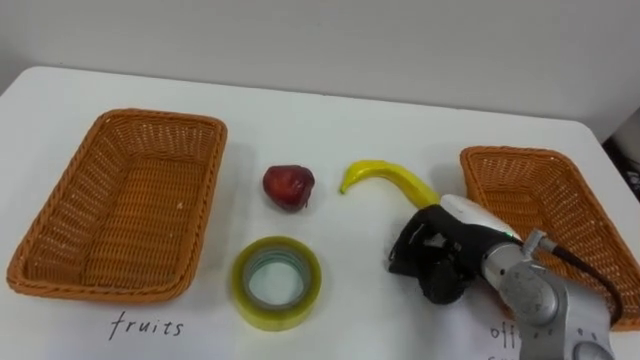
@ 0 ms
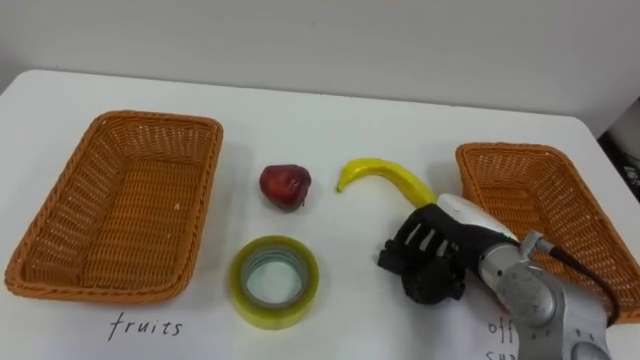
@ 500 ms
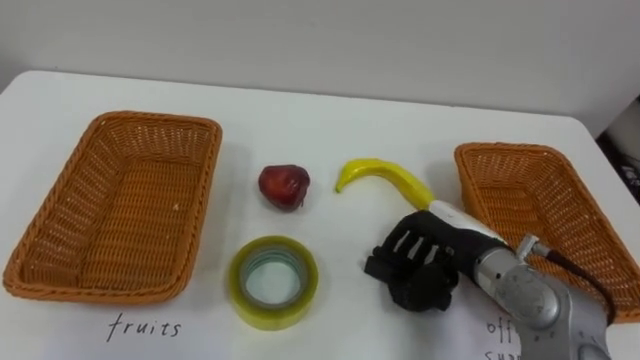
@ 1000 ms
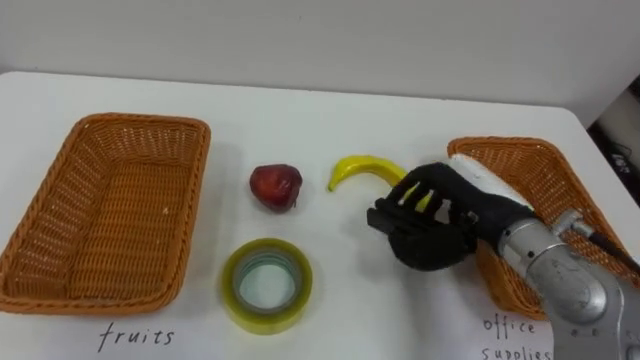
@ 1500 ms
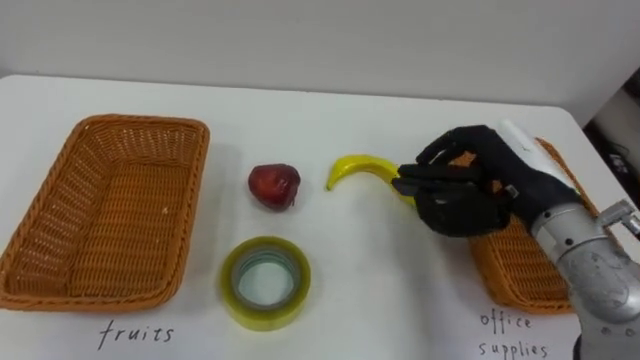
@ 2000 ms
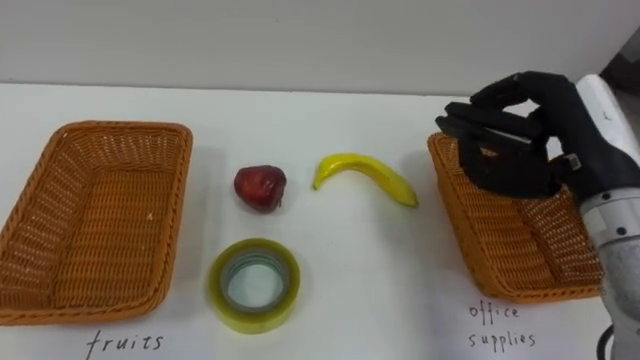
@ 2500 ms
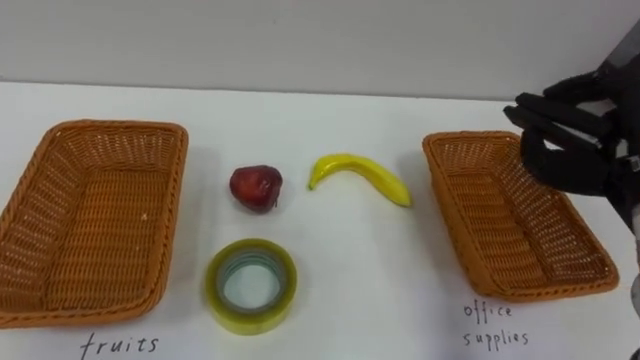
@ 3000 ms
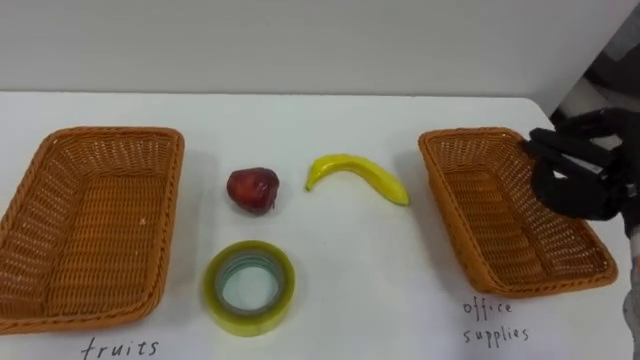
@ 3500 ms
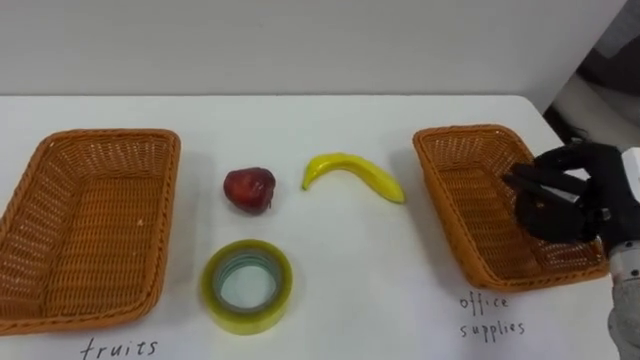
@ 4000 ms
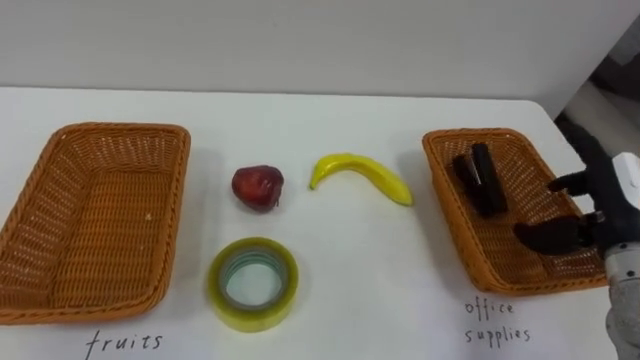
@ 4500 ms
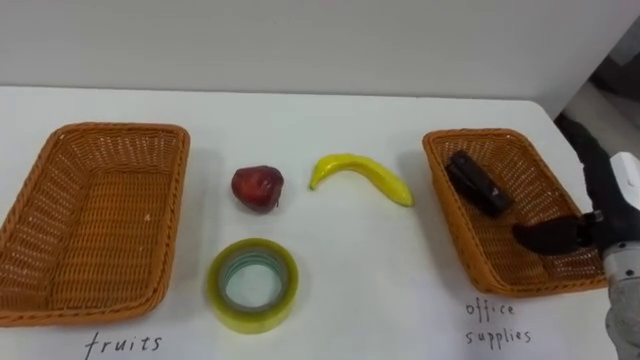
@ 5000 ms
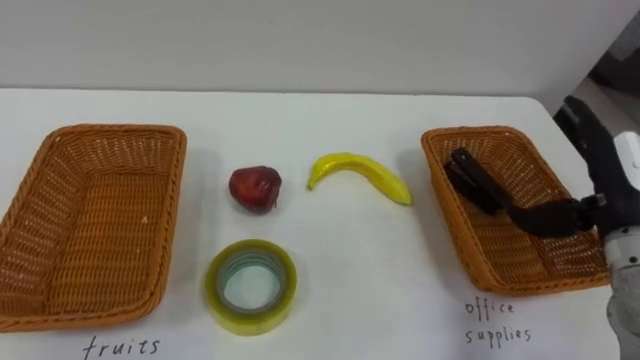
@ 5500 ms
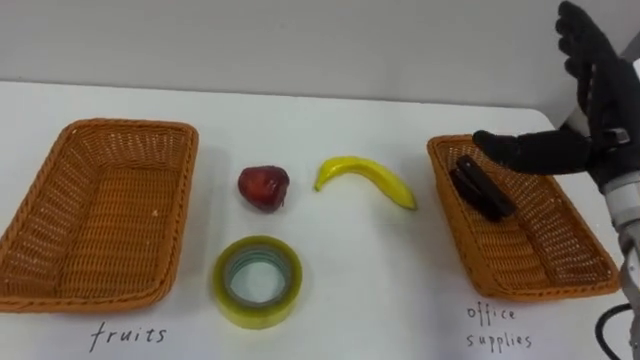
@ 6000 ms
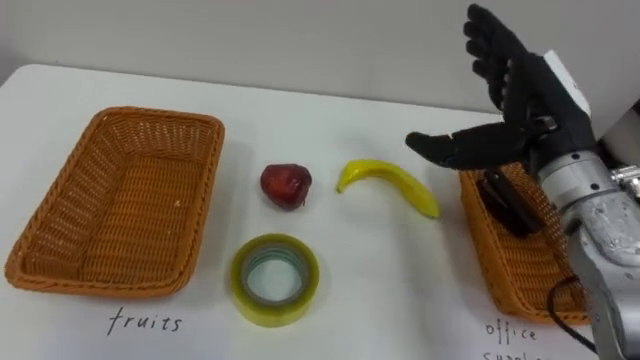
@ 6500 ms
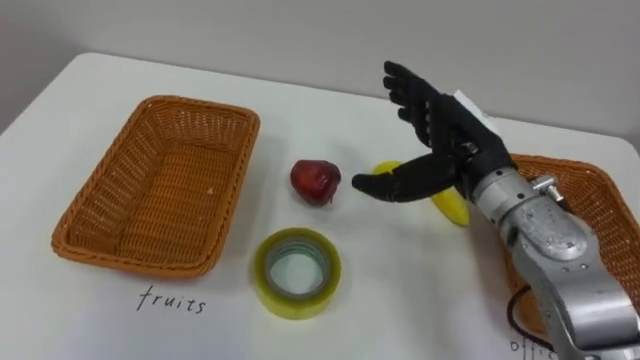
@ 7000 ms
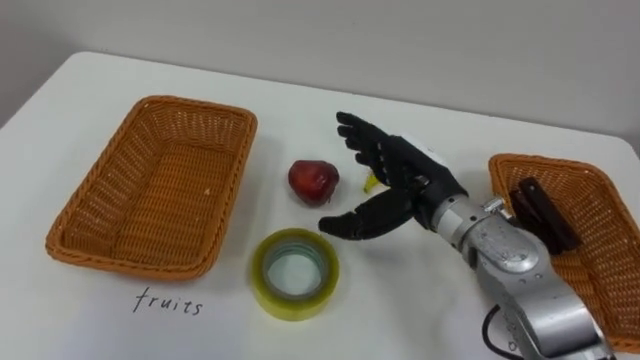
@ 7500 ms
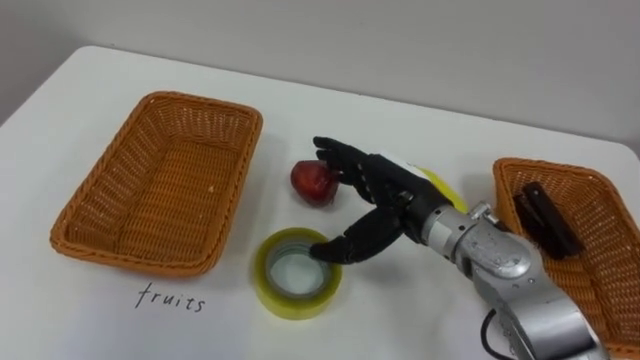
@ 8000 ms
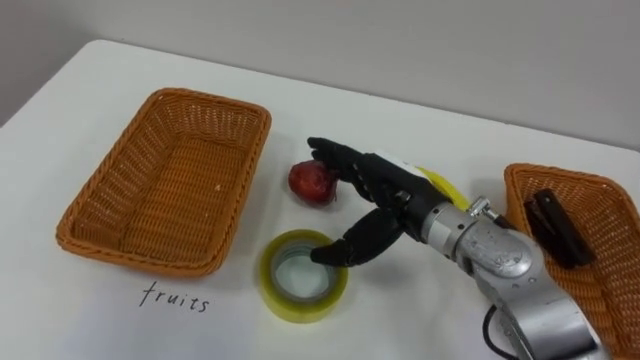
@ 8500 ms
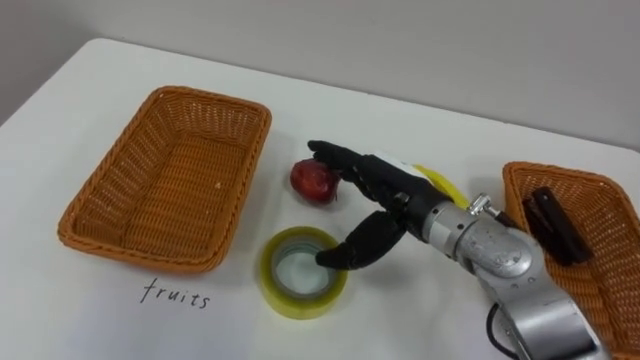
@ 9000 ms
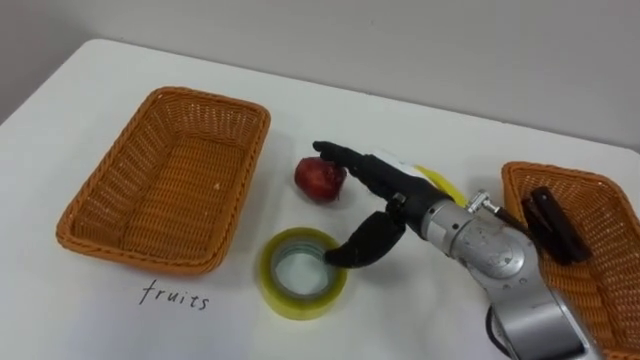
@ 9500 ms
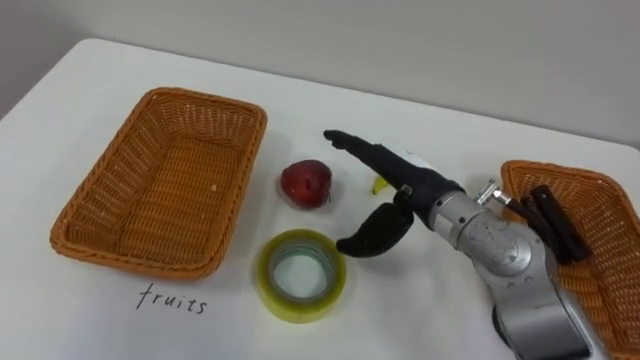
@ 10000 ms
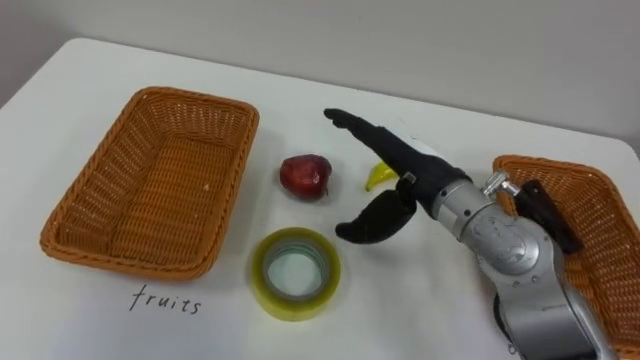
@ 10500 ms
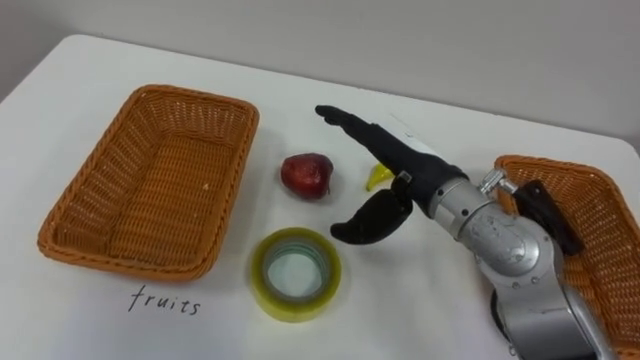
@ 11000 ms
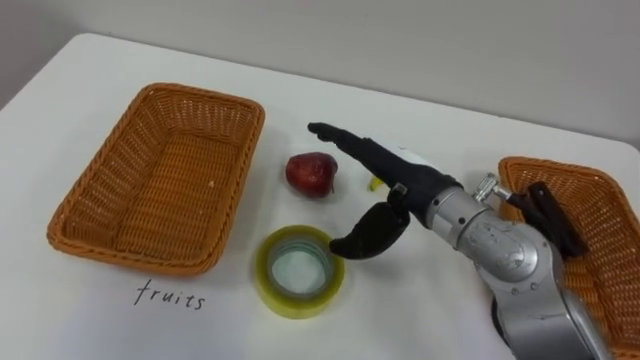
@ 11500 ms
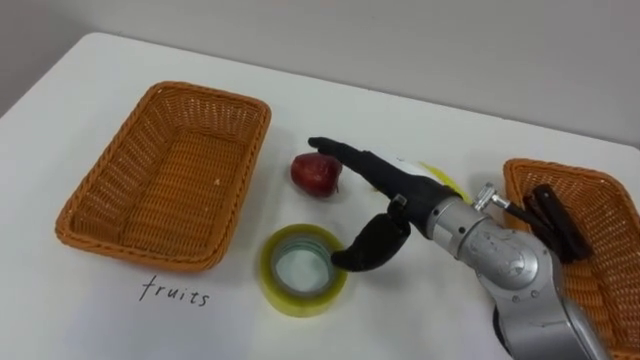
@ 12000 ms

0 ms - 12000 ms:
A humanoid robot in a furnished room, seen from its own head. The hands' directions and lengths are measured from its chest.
Task of the whole recording: Separate the items on the table and place them into the two baskets.
0 ms - 2000 ms: The right hand shifts roughly 10 cm upward, and closes its fingers.
4000 ms - 6000 ms: The right hand goes approximately 10 cm upward, and opens up.
6000 ms - 8000 ms: The right hand is displaced to the left and downward by about 20 cm.

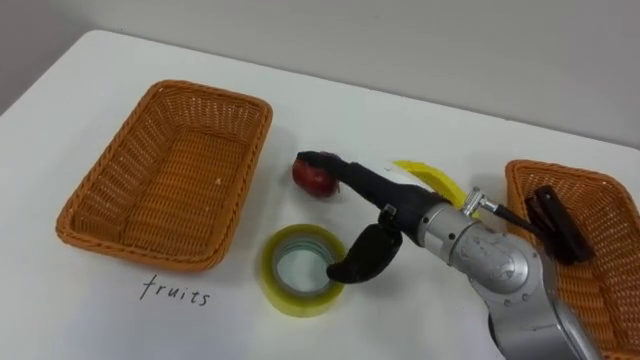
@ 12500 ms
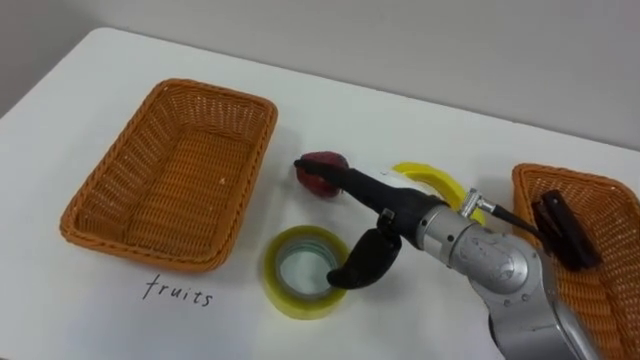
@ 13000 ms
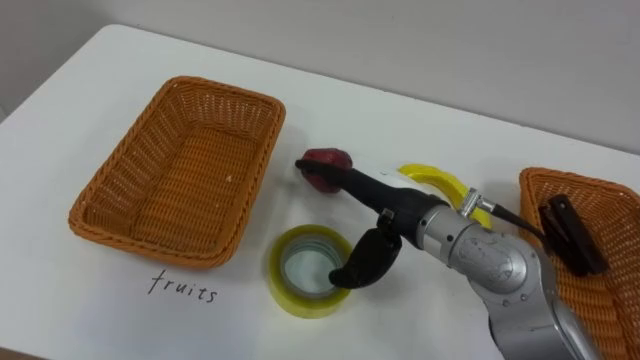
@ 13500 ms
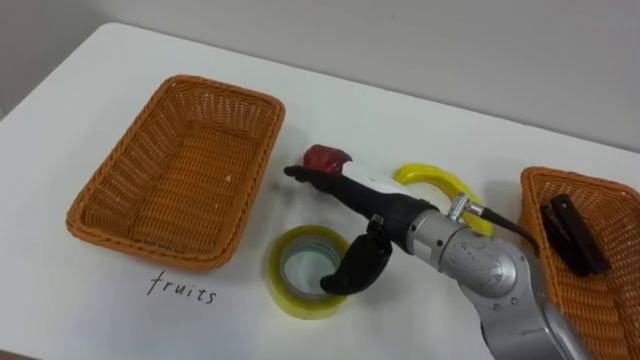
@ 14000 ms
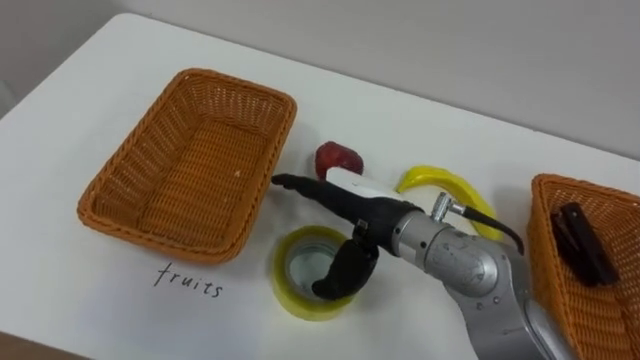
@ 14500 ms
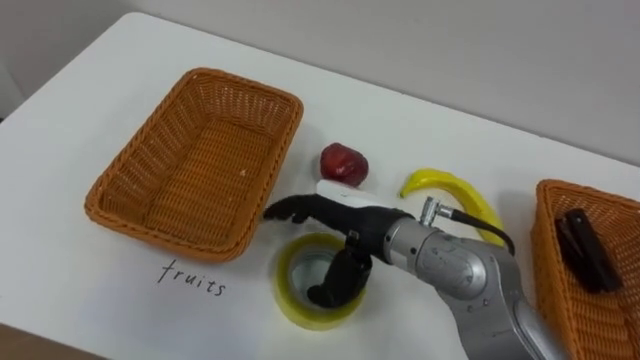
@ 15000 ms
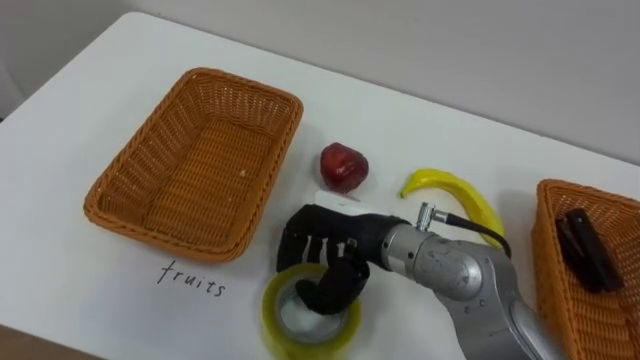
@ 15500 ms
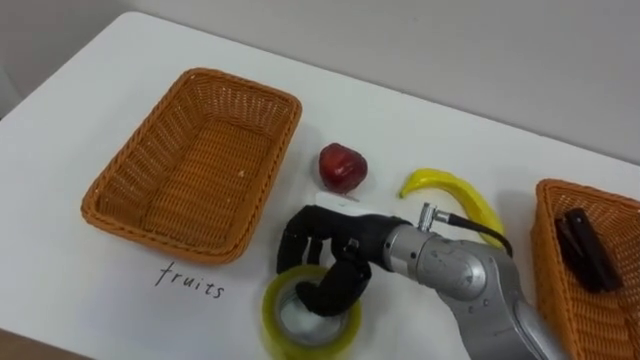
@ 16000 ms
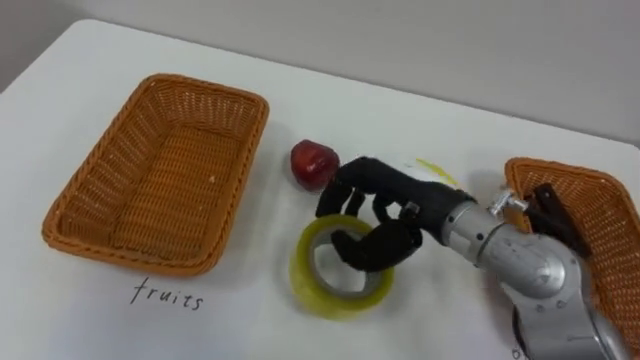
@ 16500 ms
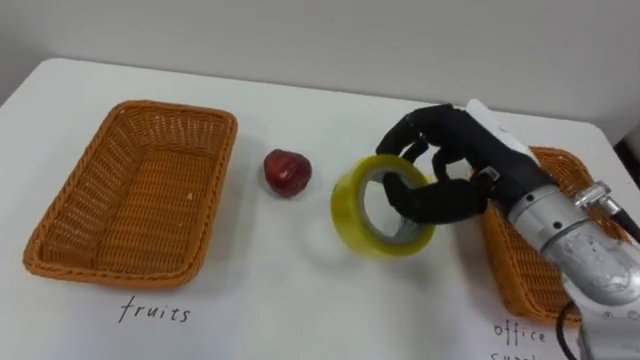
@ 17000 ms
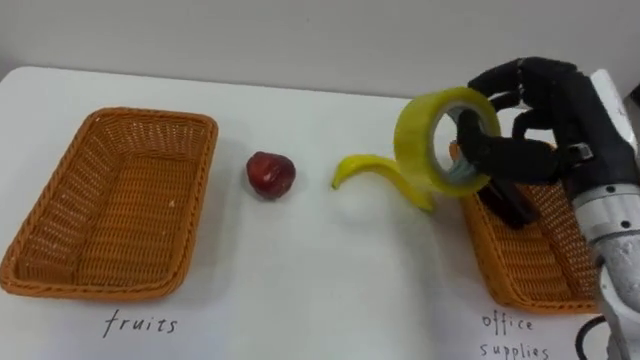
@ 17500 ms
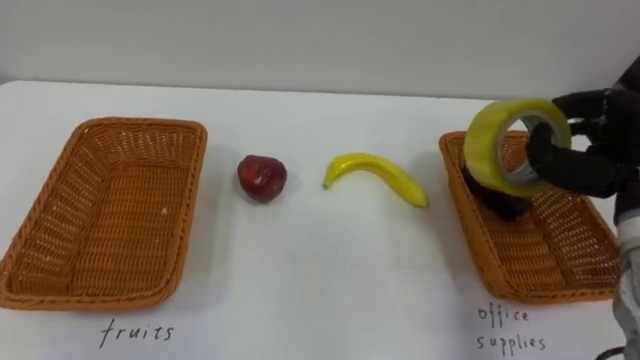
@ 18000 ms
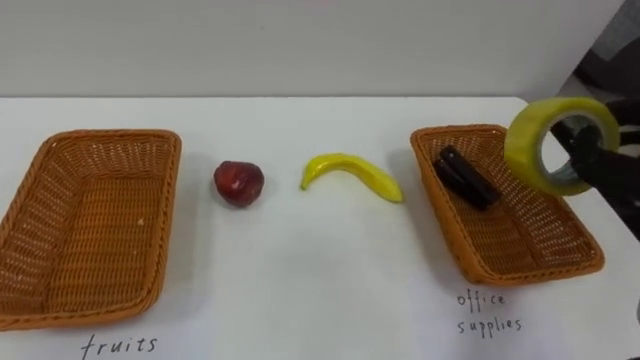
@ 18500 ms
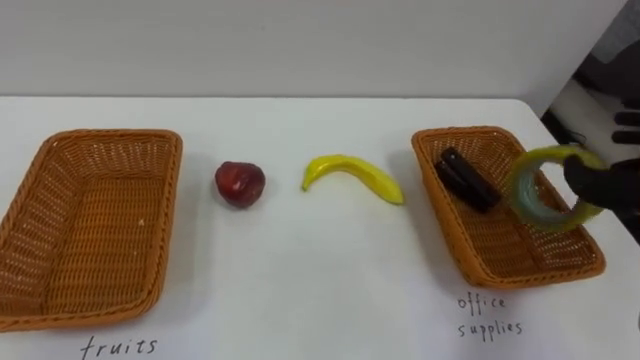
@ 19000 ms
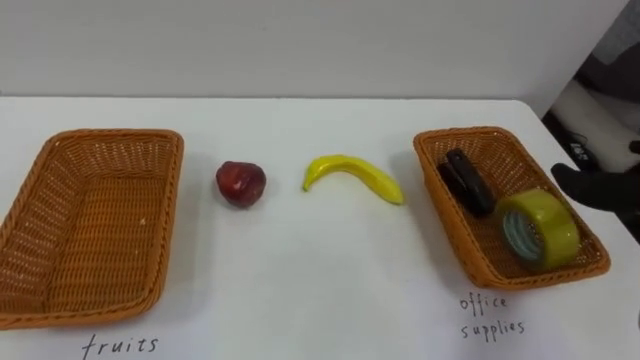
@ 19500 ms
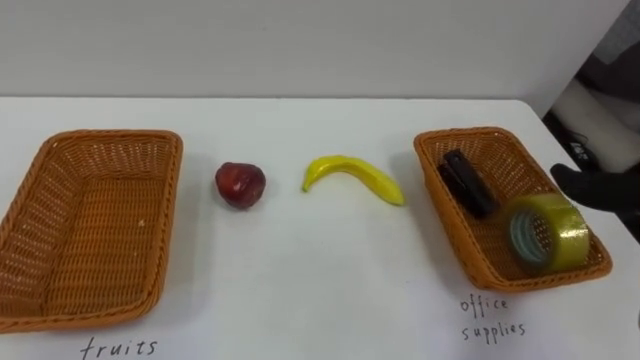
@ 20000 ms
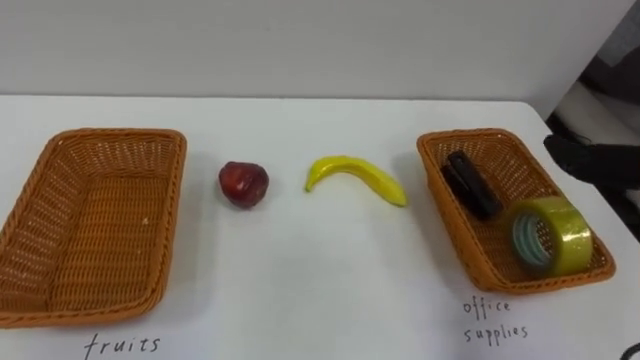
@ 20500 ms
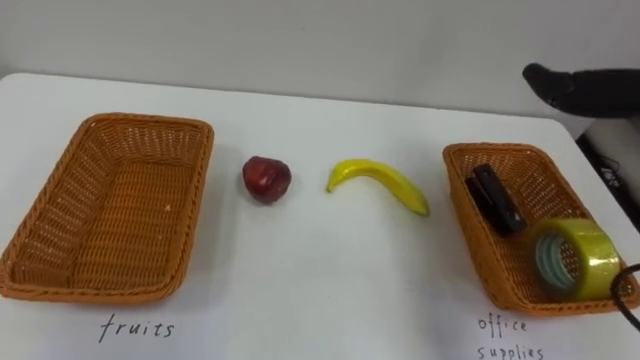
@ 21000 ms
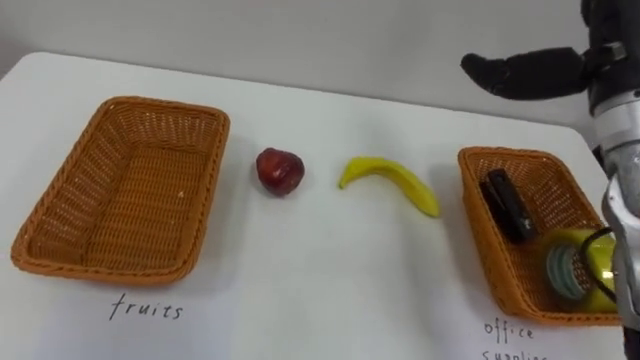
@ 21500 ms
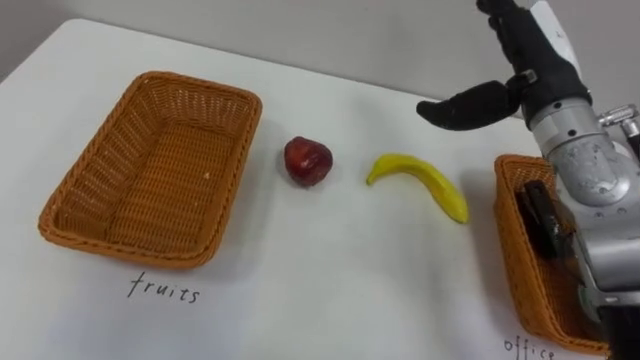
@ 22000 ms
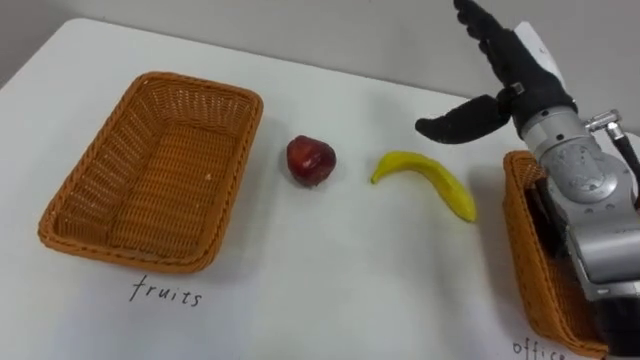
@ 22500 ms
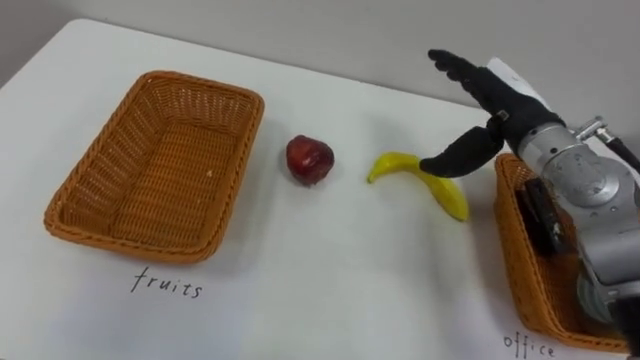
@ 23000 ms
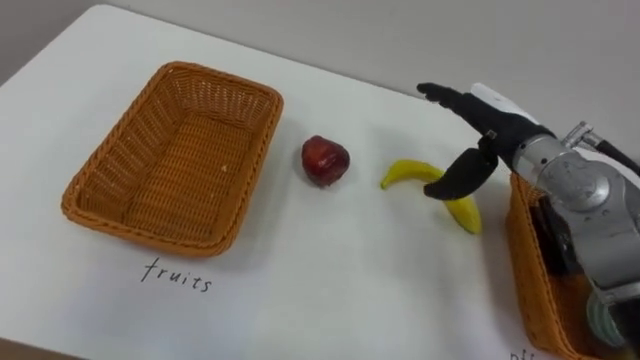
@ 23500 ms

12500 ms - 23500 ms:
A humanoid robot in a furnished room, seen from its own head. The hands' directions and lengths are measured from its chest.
Task of the whole recording: Separate the items on the table and place them into the two baskets.
14500 ms - 16000 ms: The right hand closes its fingers.
16000 ms - 18000 ms: The right hand travels to the right by roughly 30 cm.
21500 ms - 23500 ms: The right hand is displaced downward by some 15 cm.
